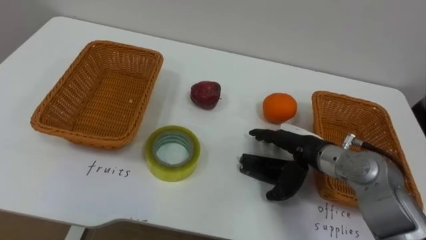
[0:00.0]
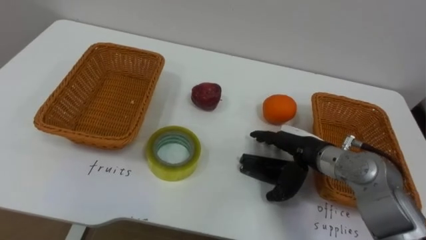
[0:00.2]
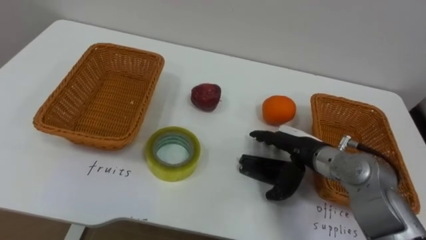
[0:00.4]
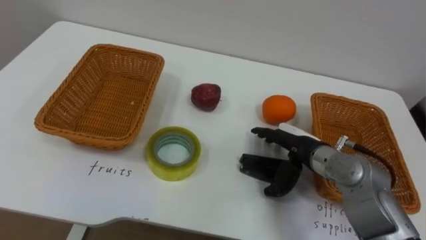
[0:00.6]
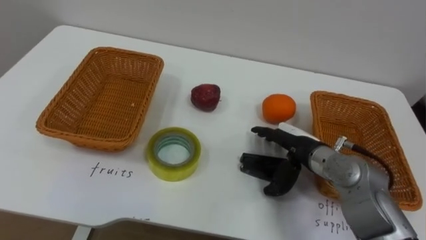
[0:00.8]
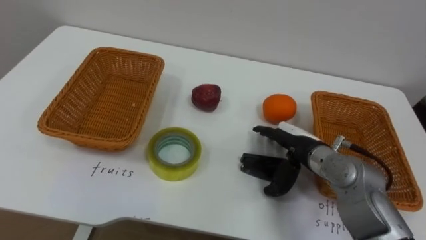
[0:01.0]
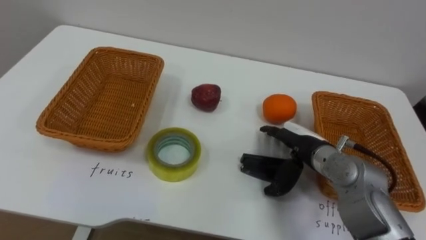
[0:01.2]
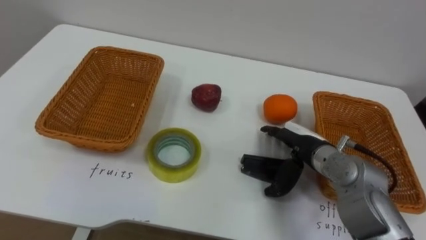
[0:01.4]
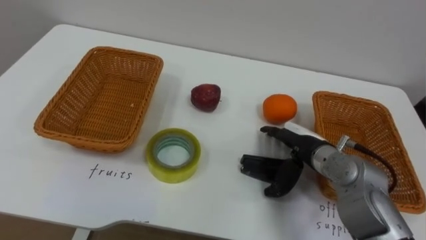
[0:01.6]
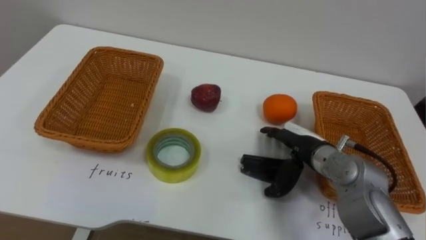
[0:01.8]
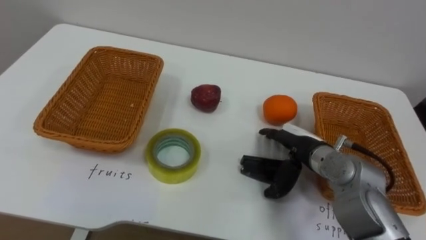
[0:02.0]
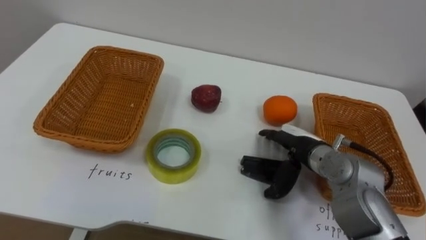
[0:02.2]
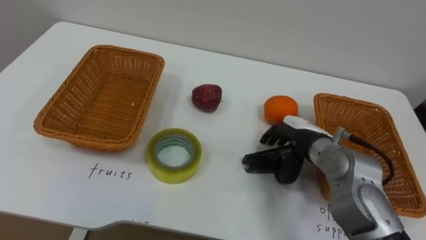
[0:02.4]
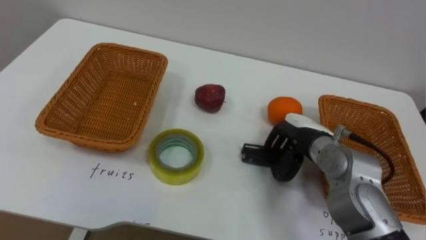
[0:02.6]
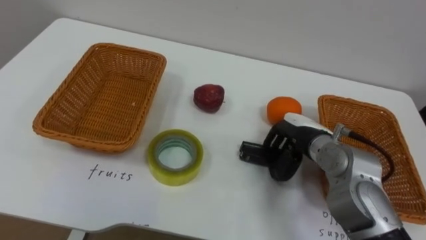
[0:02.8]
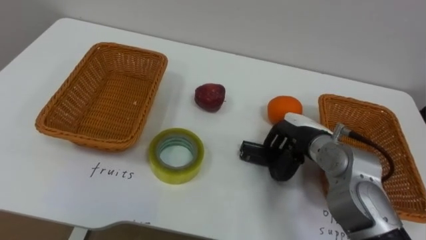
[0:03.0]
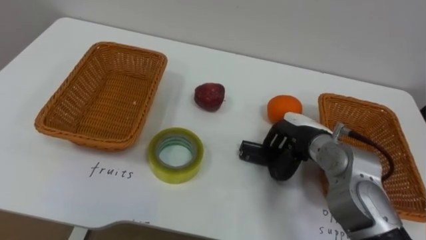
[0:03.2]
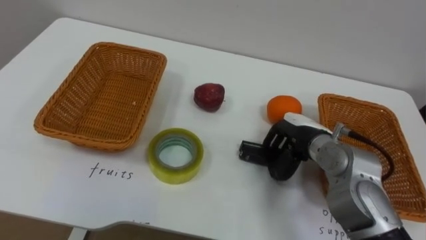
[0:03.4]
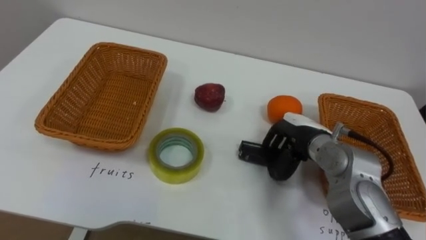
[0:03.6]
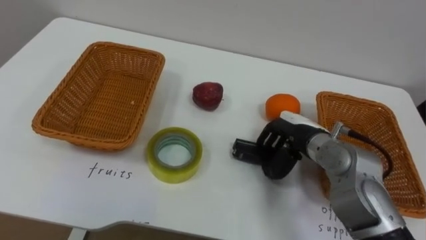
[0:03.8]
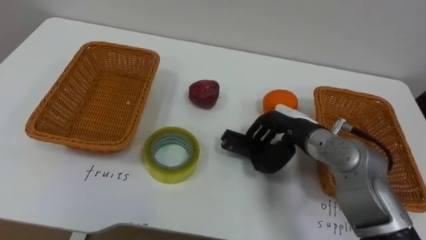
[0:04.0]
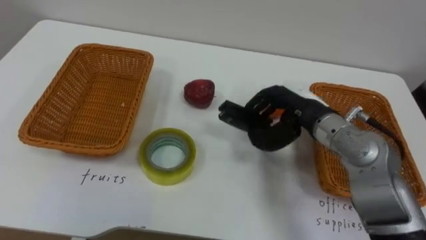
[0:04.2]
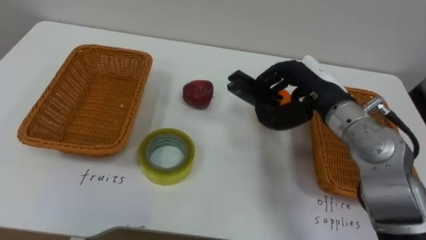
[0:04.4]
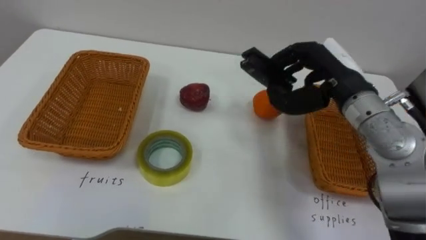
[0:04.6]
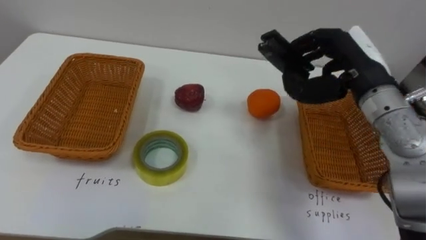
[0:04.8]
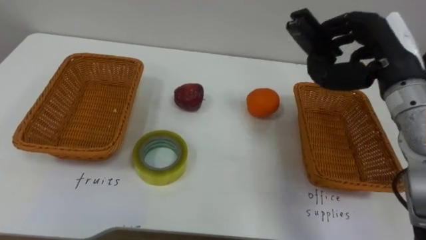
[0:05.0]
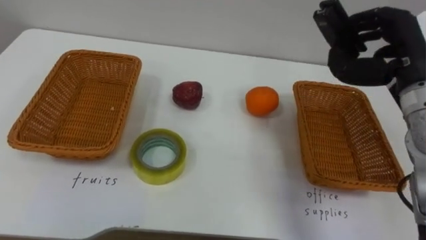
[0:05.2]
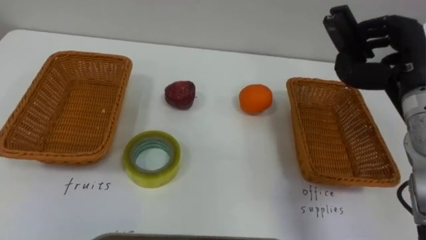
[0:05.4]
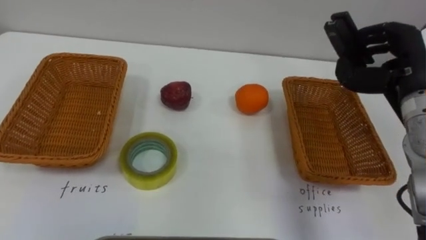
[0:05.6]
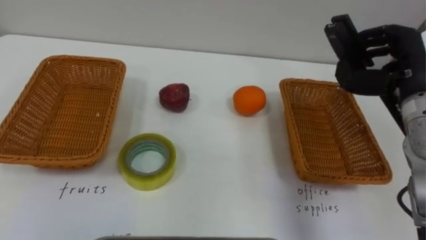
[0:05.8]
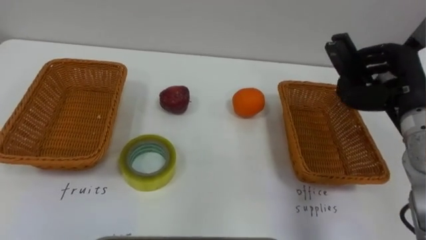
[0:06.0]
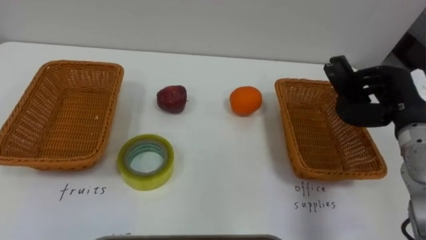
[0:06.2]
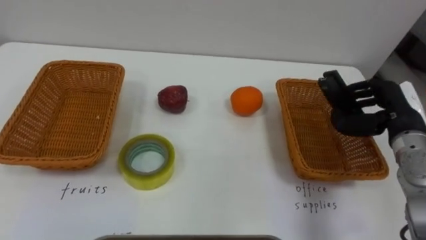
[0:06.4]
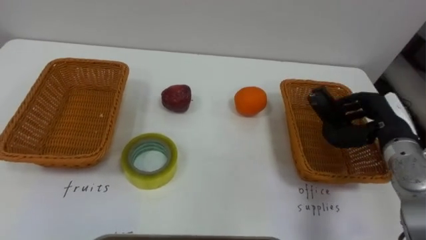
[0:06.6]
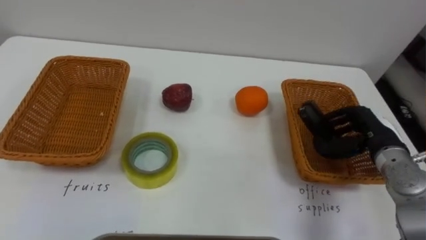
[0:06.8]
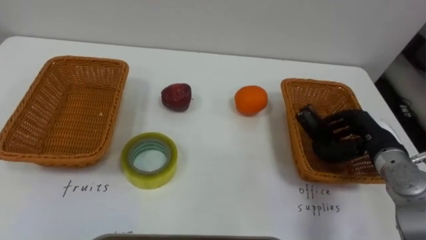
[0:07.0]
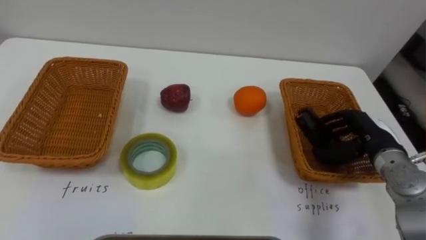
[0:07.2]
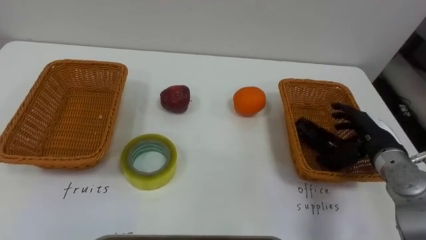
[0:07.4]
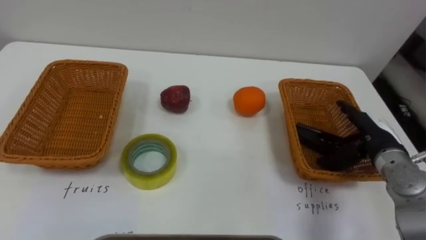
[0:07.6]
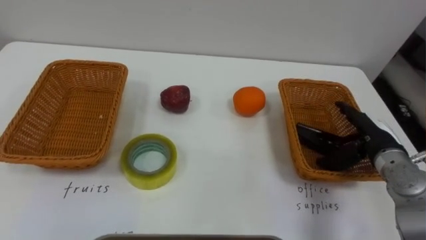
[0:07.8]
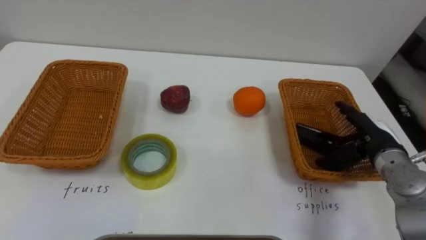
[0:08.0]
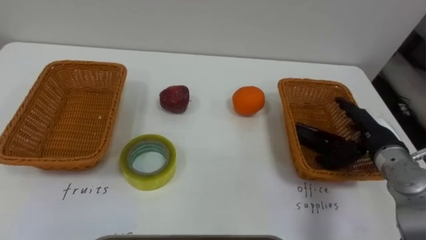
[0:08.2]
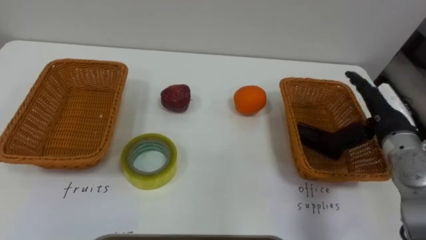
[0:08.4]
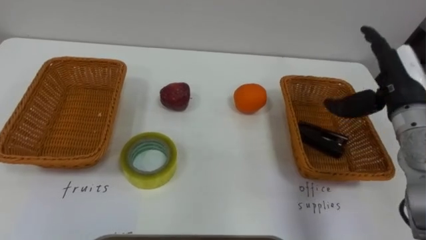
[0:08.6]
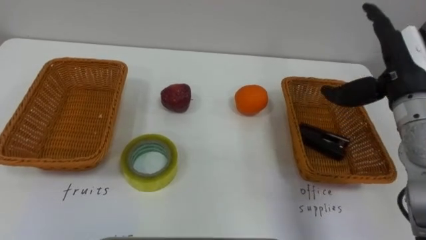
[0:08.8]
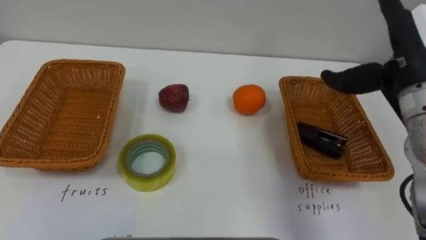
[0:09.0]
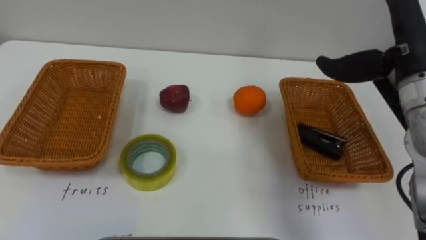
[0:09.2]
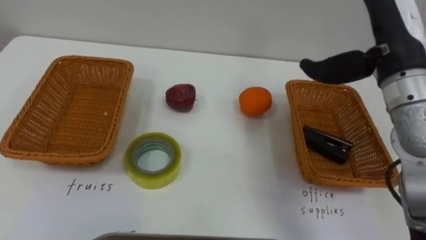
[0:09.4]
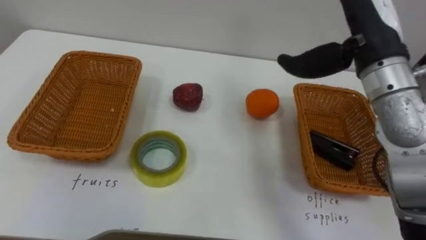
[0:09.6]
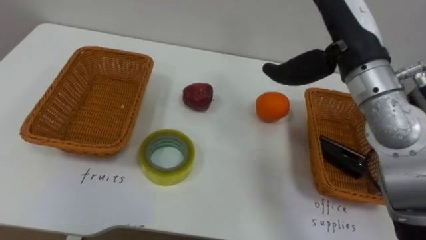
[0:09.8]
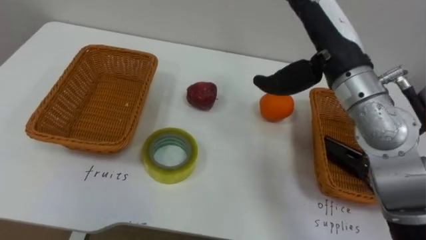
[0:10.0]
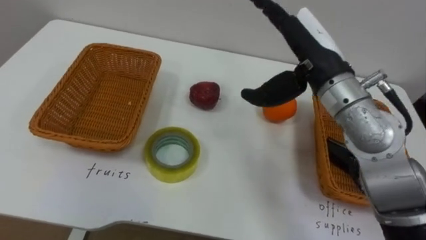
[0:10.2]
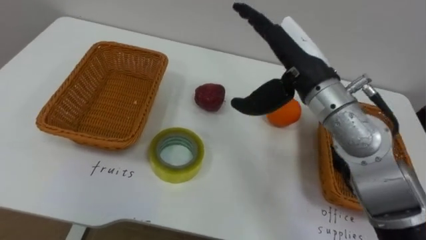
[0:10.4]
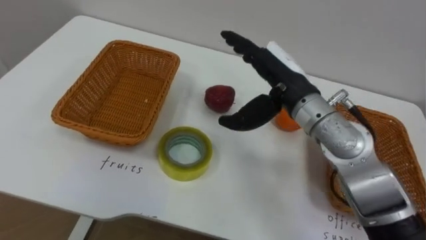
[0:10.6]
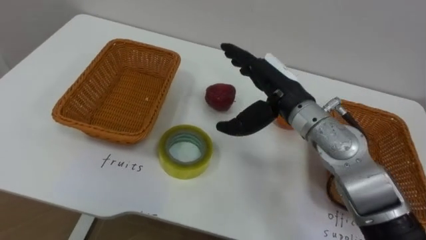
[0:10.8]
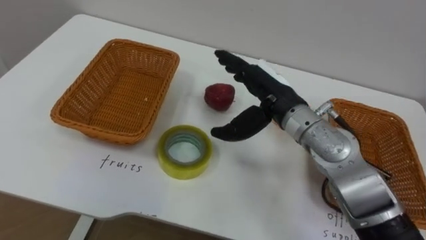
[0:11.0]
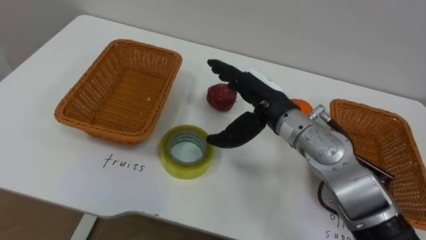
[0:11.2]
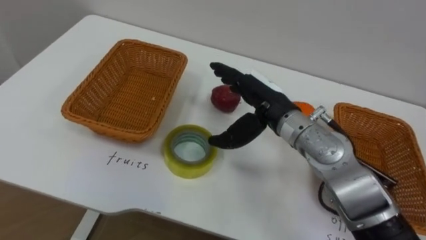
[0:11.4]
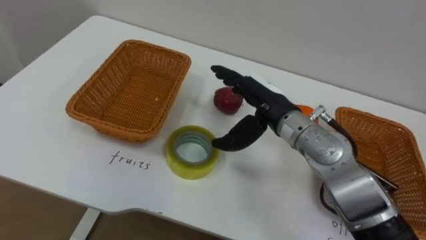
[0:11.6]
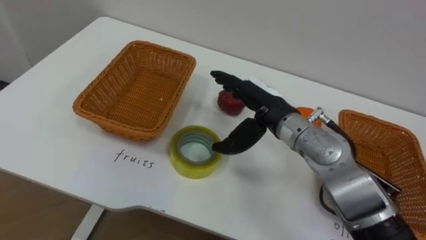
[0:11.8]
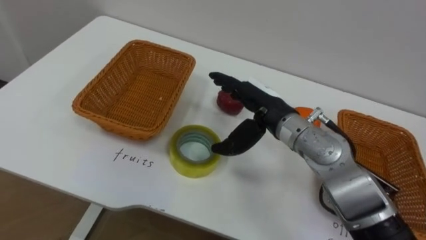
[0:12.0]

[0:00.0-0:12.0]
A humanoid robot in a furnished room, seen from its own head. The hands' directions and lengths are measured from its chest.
Task of the whole recording: Separate the items on the table and place them into the two baskets.
0:01.6 to 0:03.0: The right hand closes up.
0:03.0 to 0:04.4: The right hand travels upward by roughly 10 cm.
0:04.4 to 0:06.0: The right hand heads to the right, covering roughly 15 cm.
0:06.0 to 0:07.6: The right hand is displaced downward by about 10 cm, and opens up.
0:07.6 to 0:09.0: The right hand moves upward, about 15 cm.
0:09.0 to 0:10.4: The right hand heads to the left, covering approximately 15 cm.
0:10.4 to 0:12.0: The right hand travels downward by approximately 10 cm.

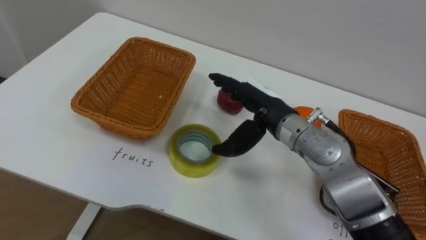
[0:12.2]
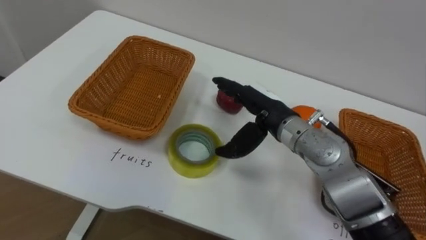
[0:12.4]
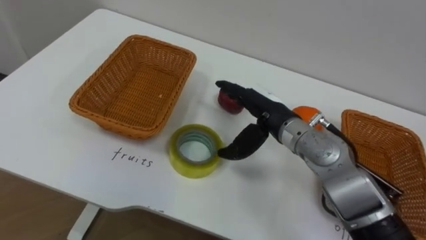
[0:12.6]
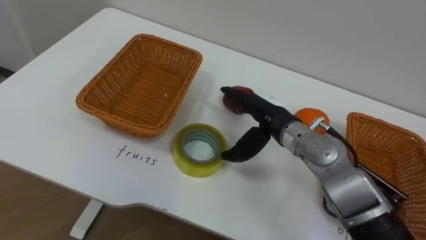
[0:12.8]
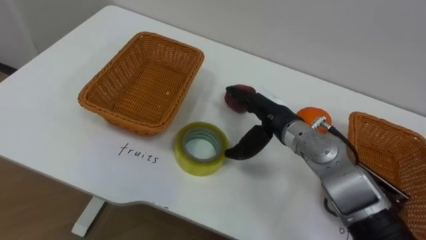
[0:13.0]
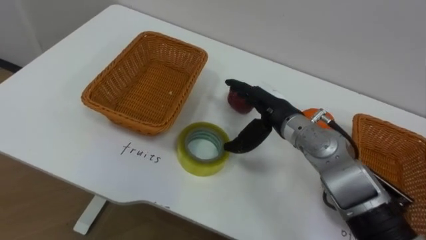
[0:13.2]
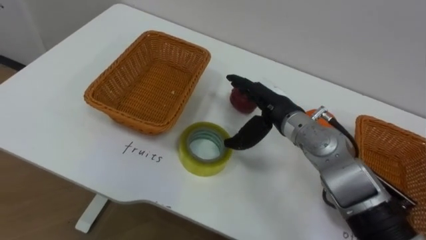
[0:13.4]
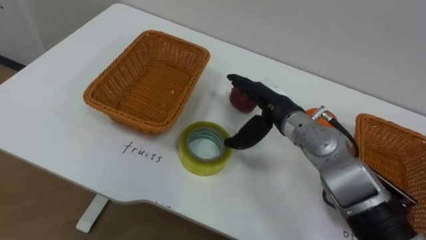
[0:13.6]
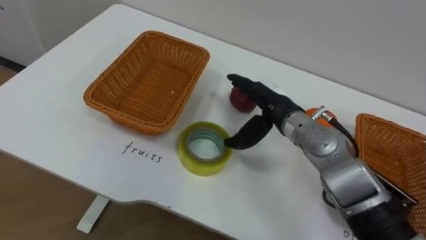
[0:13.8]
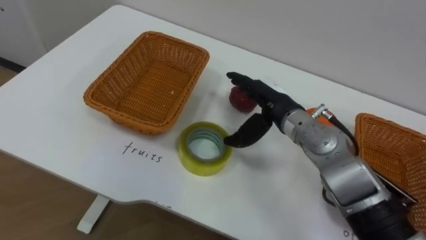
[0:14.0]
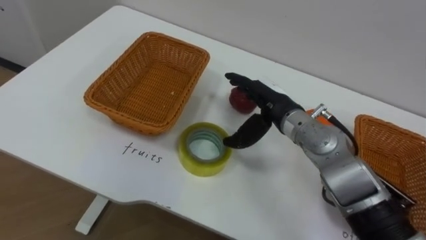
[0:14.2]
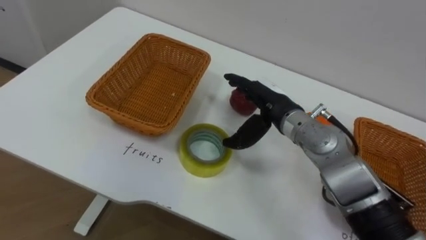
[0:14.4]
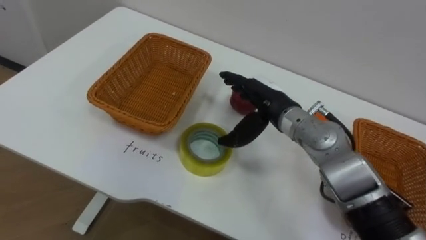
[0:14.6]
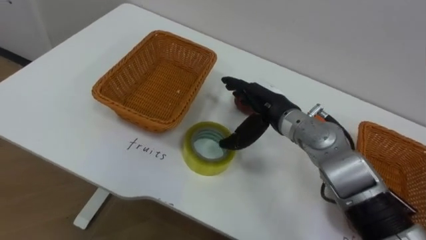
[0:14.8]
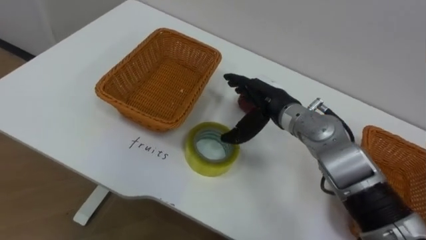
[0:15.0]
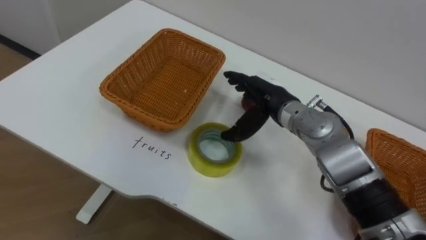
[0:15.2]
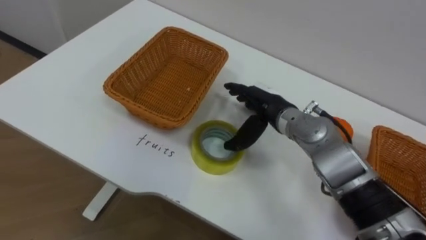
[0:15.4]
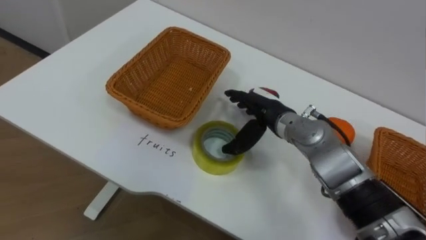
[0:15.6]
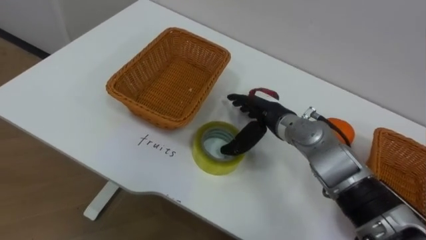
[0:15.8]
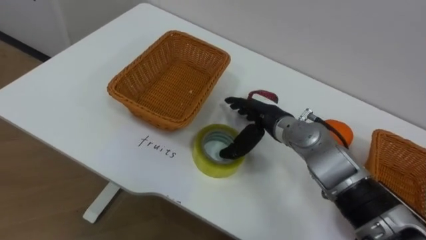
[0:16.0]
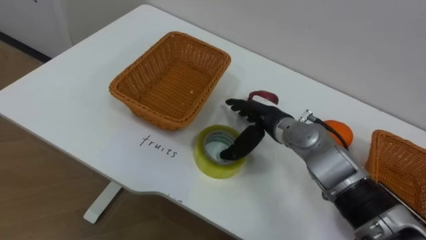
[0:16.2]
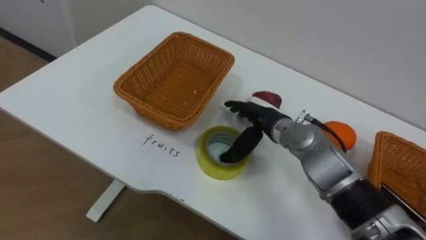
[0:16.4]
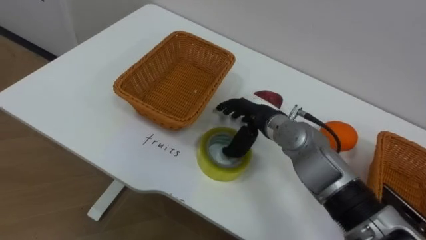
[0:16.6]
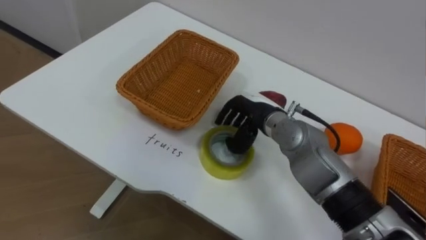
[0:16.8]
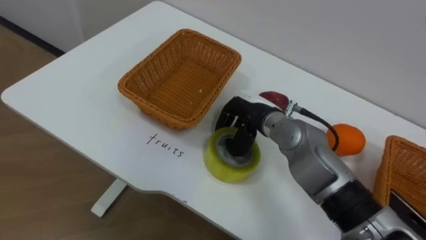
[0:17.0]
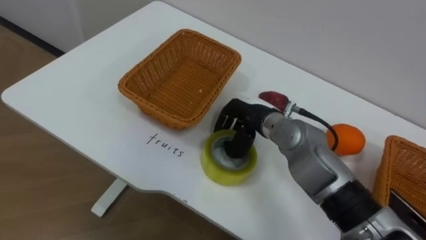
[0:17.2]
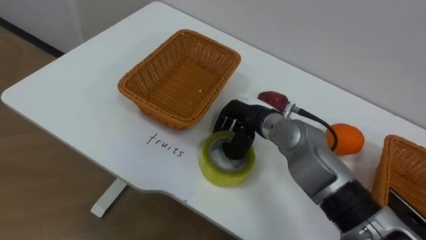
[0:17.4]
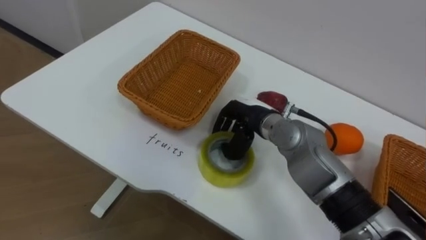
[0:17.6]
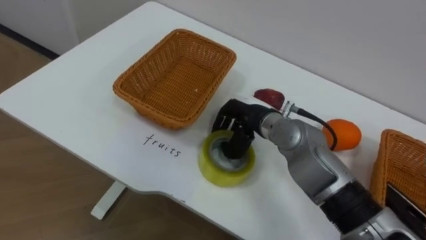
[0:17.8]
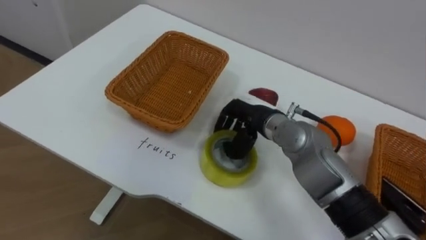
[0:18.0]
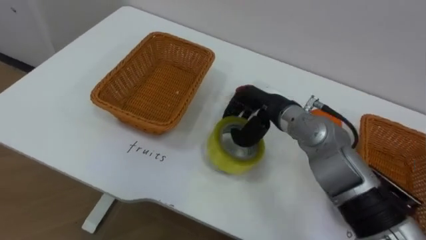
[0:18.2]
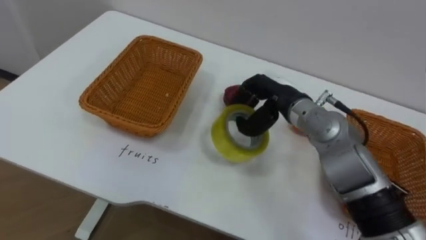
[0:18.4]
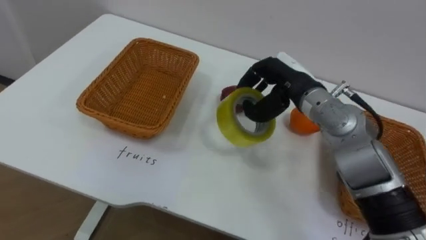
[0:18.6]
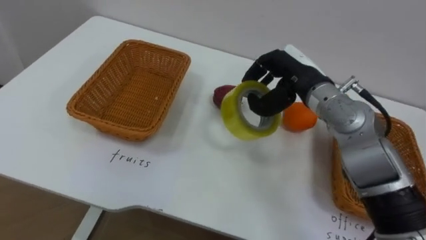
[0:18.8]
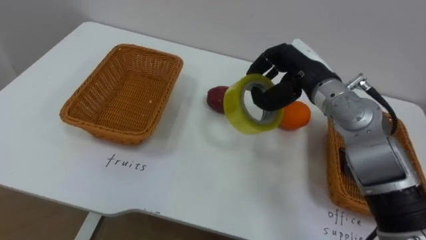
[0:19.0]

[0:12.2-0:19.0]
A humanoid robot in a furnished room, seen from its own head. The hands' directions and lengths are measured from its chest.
Task of the whole recording: Separate the items on the table and place them into the two baskets.
0:16.2 to 0:17.6: The right hand closes its fingers.
0:17.6 to 0:19.0: The right hand heads upward and to the right, covering roughly 10 cm.
